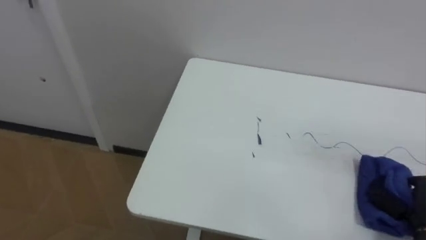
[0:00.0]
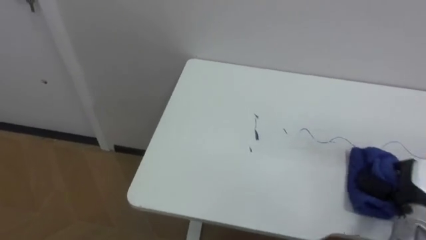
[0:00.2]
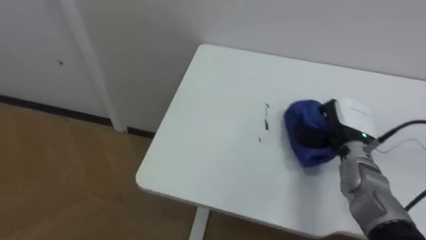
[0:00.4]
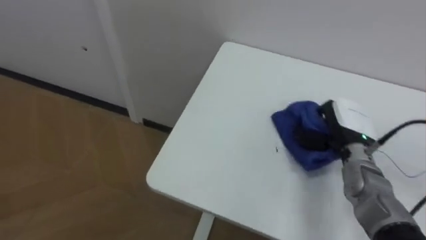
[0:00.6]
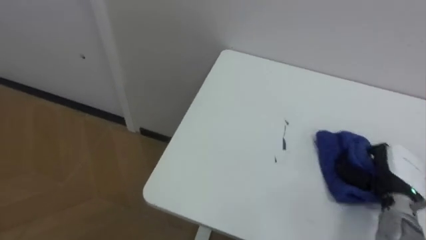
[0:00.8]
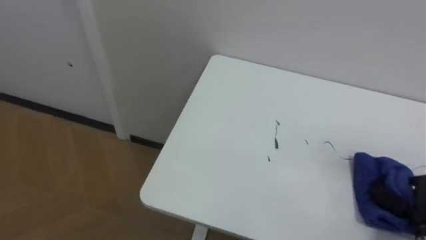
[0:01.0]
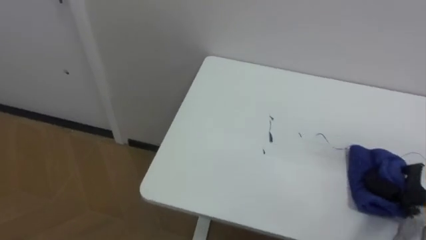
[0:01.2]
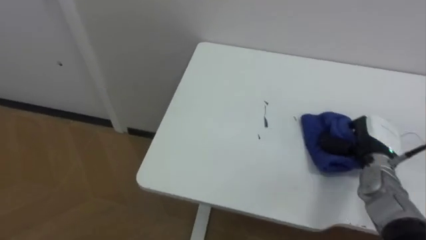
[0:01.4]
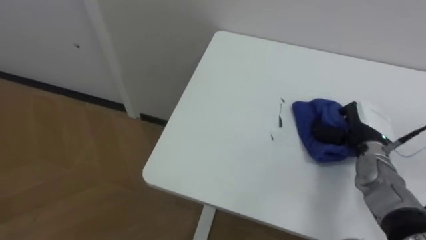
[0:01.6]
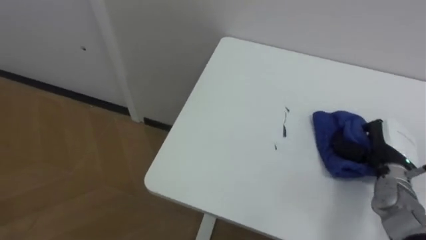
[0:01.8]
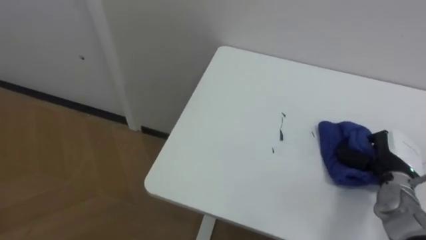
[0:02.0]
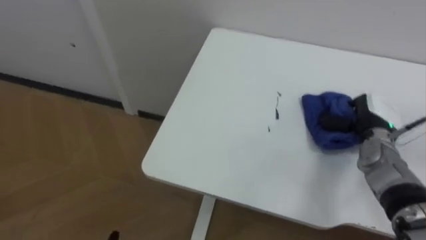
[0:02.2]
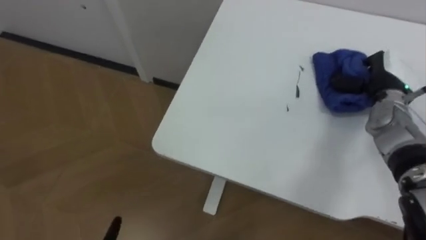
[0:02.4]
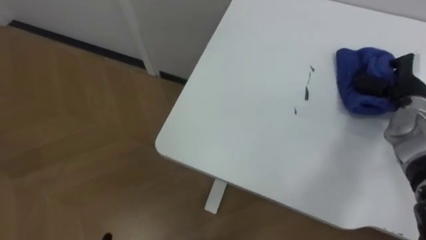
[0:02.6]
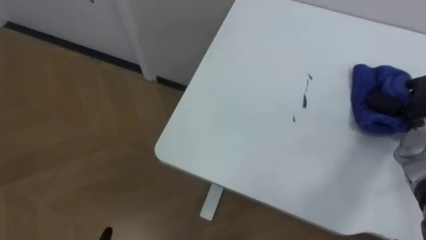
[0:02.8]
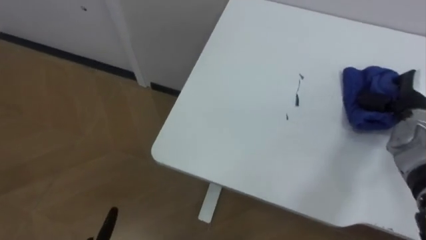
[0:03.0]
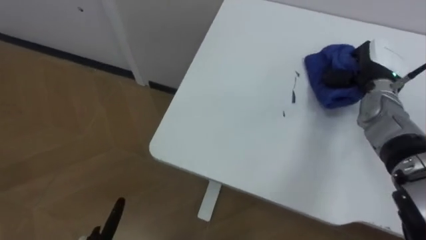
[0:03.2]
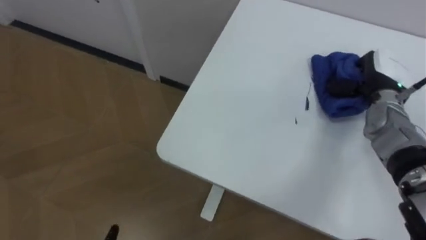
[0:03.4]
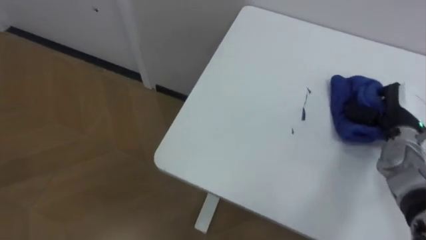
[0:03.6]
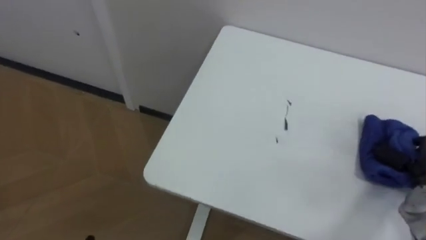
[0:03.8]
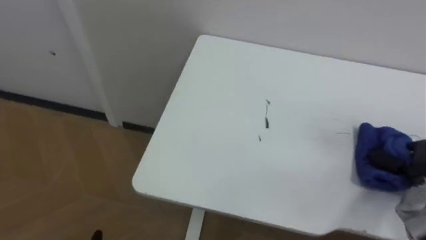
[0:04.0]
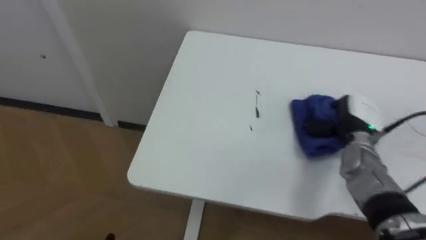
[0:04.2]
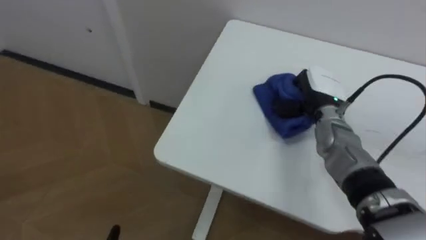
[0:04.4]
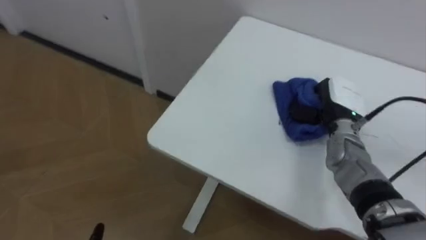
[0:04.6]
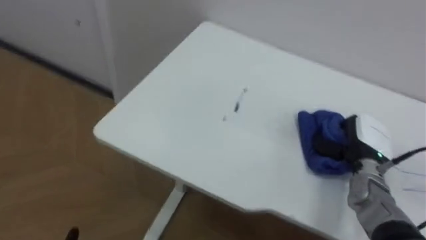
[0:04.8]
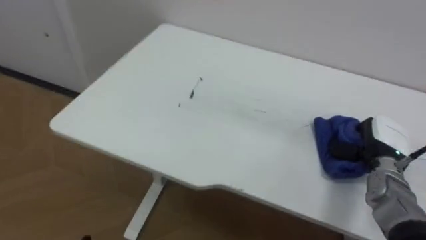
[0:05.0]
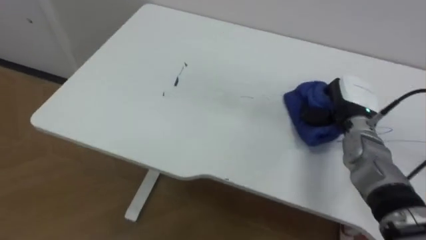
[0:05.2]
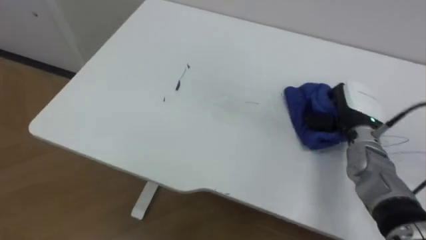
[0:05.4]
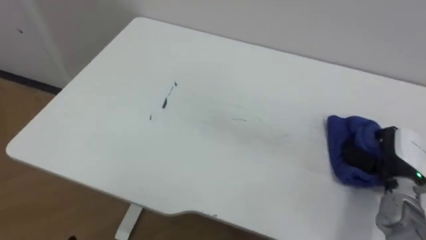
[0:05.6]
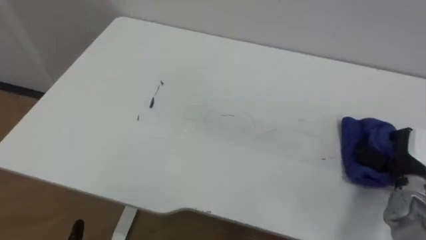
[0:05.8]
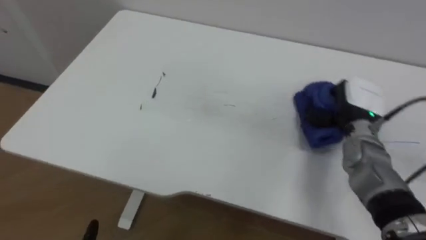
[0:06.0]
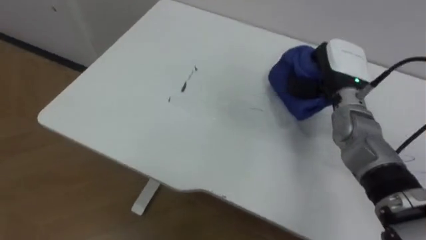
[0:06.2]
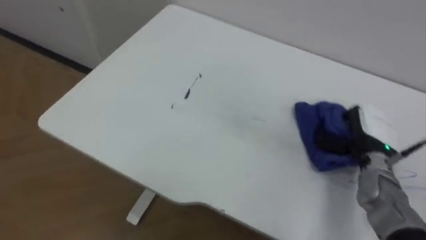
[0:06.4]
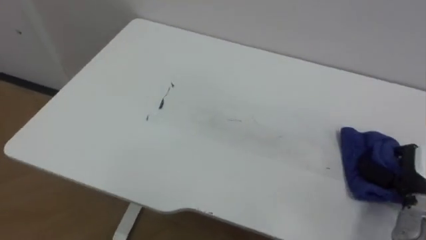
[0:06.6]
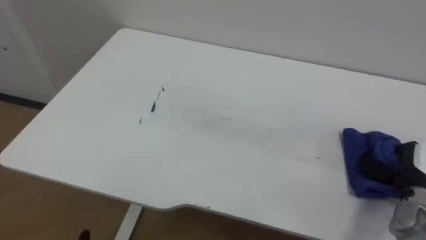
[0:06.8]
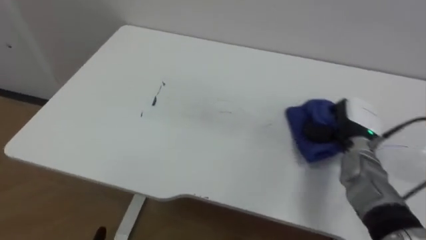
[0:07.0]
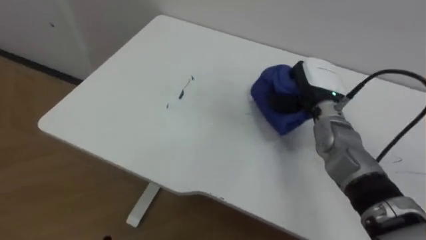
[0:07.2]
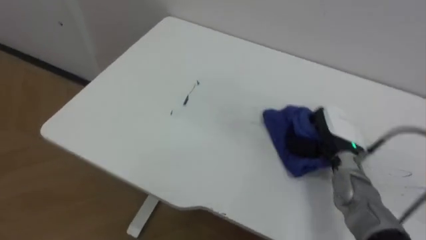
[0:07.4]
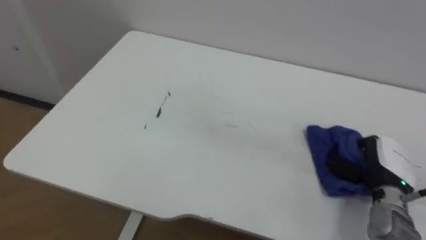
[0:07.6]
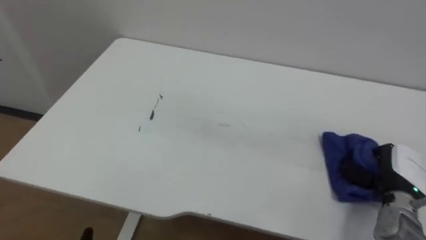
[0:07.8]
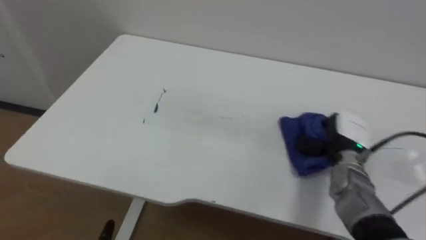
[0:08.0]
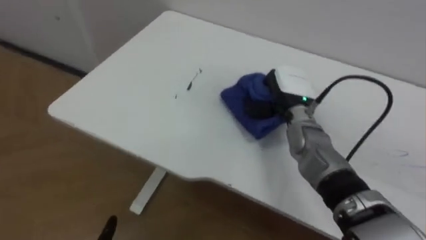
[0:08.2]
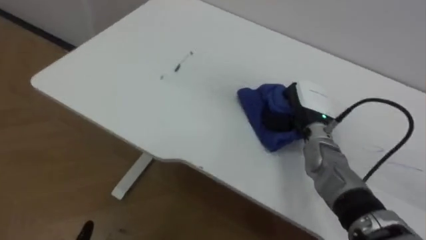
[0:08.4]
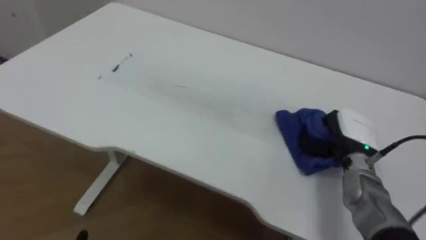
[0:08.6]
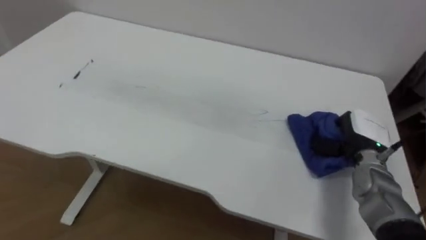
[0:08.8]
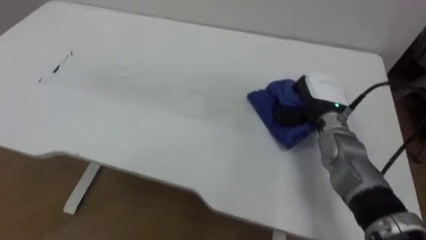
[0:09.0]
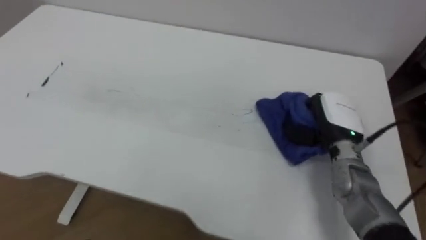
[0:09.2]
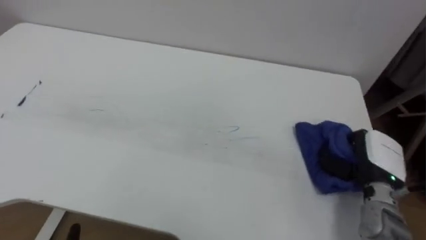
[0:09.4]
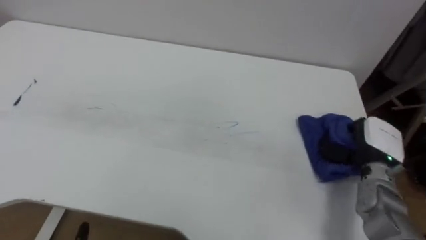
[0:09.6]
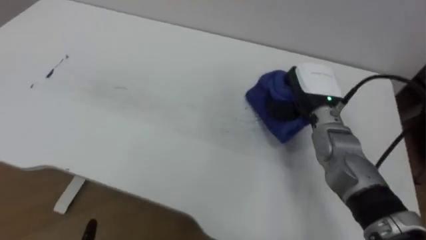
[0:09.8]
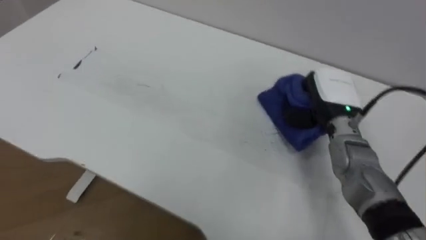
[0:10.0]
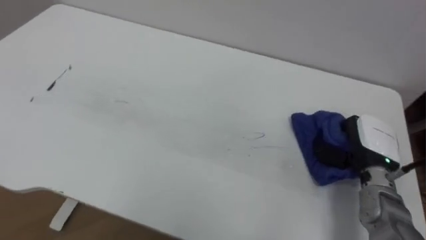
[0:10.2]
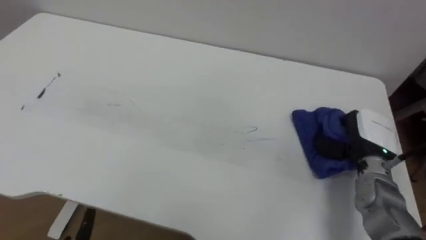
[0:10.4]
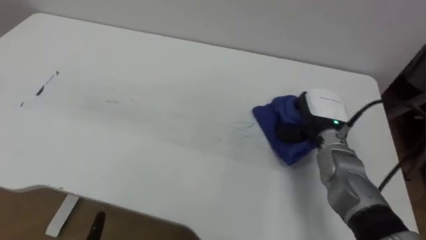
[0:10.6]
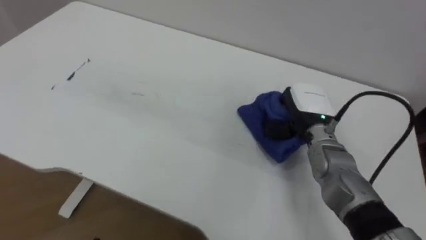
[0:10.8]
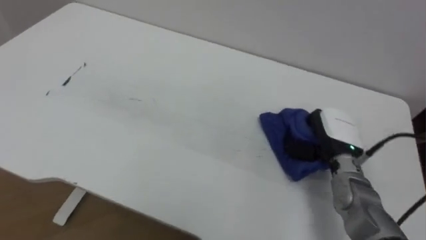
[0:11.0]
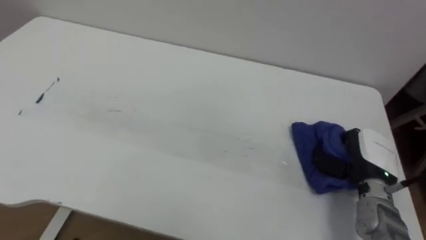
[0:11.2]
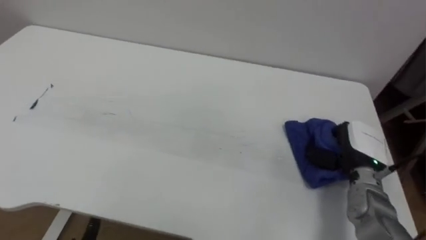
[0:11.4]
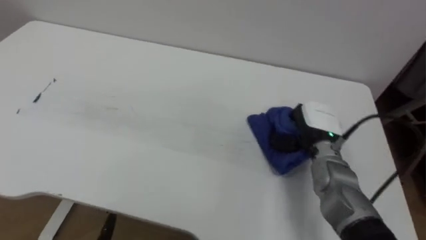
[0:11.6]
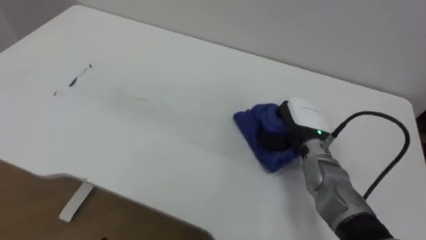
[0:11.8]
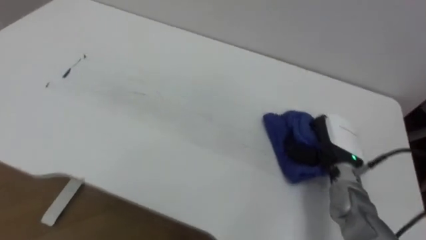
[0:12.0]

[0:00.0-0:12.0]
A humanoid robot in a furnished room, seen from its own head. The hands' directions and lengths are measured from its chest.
Task of the whole recording: Wipe the blue pen marks off the table with the rag.
0:00.0 to 0:01.6: The right hand swings forward and backward, roughly 15 cm each way, with 2 reversals.
0:01.6 to 0:03.0: The right hand goes forward and backward, roughly 10 cm each way, reversing 2 times.
0:04.4 to 0:06.0: The right hand swings left and right, about 15 cm each way, with 3 reversals.
0:06.0 to 0:07.6: The right hand goes left and right, approximately 20 cm each way, reversing 3 times.
0:07.6 to 0:09.0: The right hand swings left and right, roughly 20 cm each way, with 2 reversals.
0:09.0 to 0:10.4: The right hand goes left and right, approximately 10 cm each way, reversing 2 times.
0:10.4 to 0:12.0: The right hand swings left and right, approximately 15 cm each way, with 3 reversals.

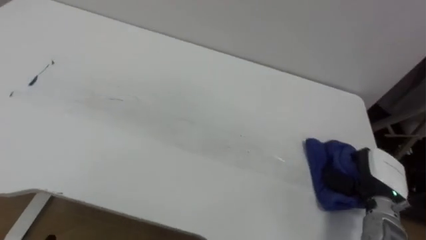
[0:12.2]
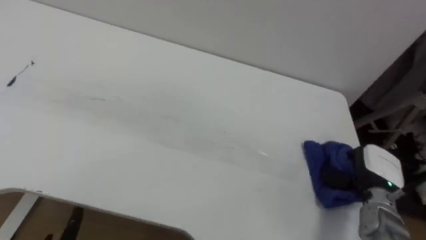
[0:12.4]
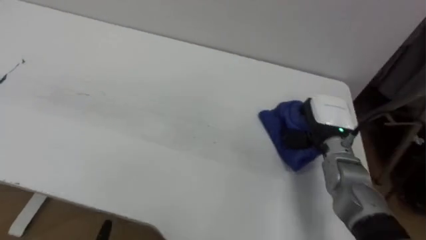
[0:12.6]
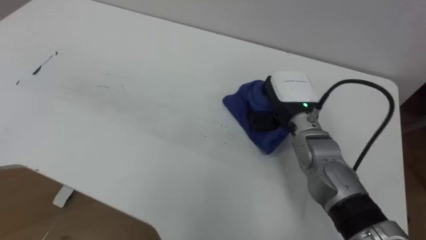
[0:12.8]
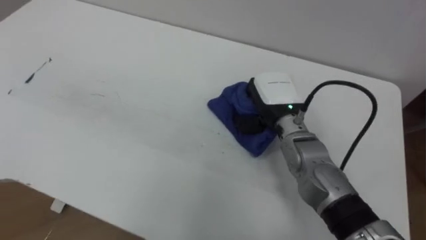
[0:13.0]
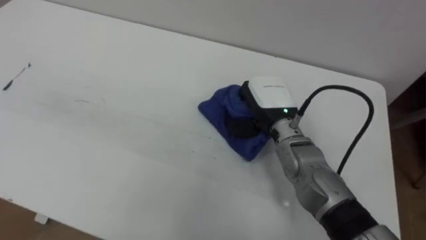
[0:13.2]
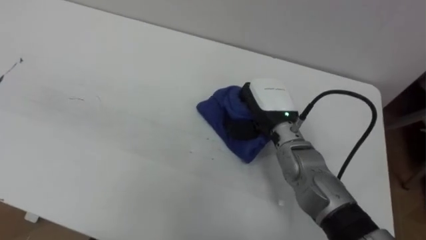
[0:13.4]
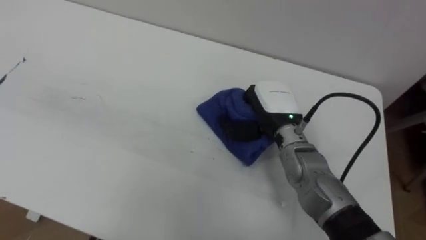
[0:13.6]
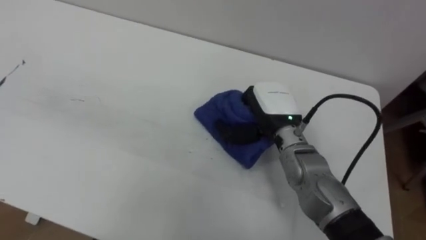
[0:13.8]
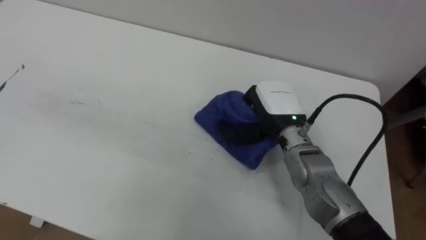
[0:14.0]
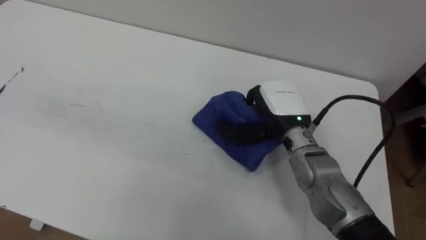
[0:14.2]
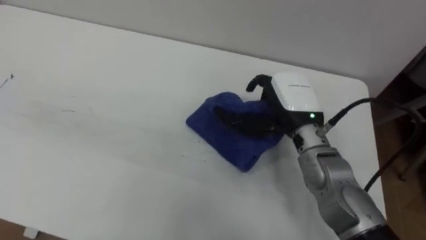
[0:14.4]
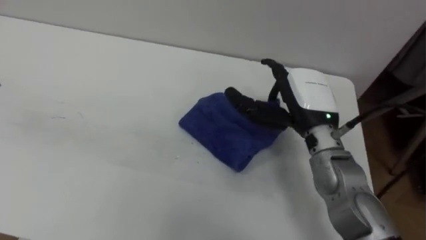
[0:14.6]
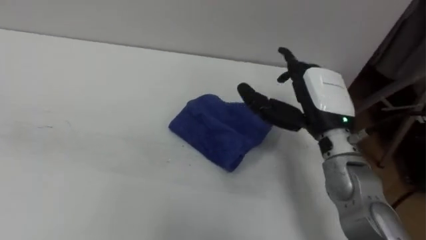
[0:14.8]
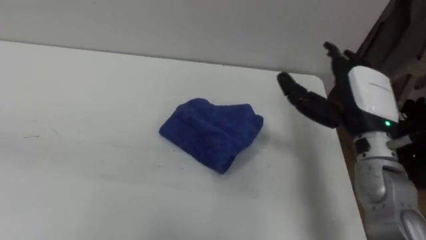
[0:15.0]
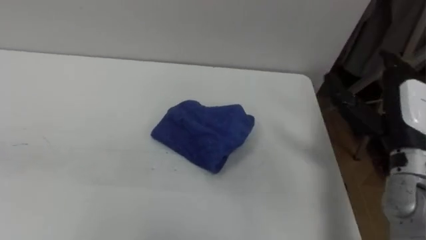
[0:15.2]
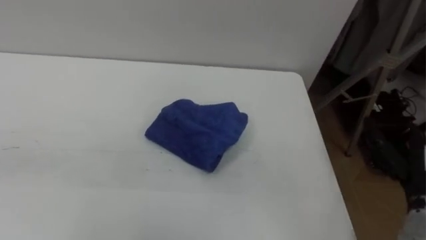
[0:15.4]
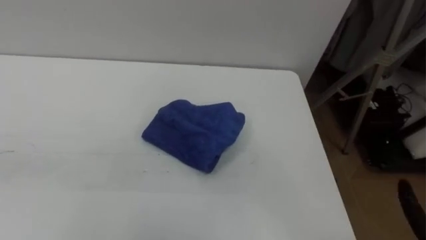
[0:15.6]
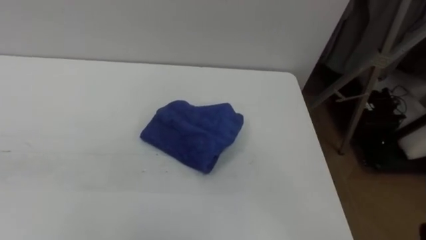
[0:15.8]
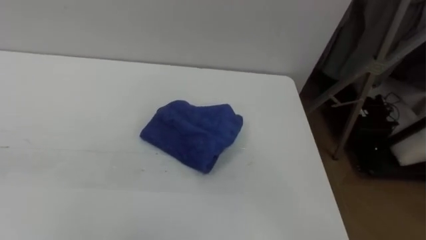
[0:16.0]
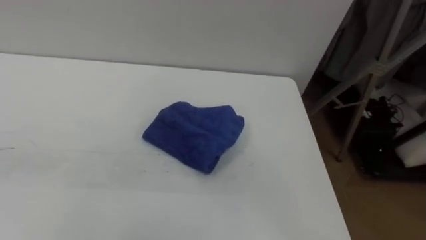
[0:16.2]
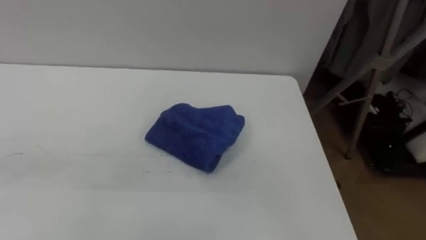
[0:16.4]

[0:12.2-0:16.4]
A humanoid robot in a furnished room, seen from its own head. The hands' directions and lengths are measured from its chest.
Task of the whole recording: Wipe the blue pen marks off the table with the rag.
0:12.2 to 0:13.6: The right hand is displaced to the left, upward and forward by some 25 cm.
0:13.6 to 0:15.0: The right hand goes about 15 cm to the right and upward, and opens.
